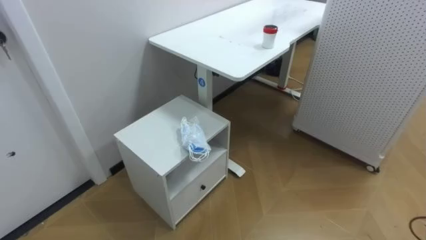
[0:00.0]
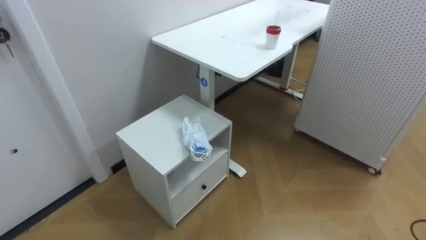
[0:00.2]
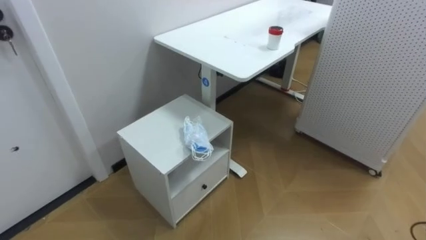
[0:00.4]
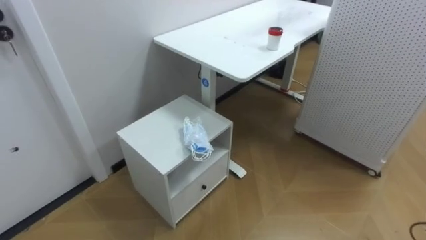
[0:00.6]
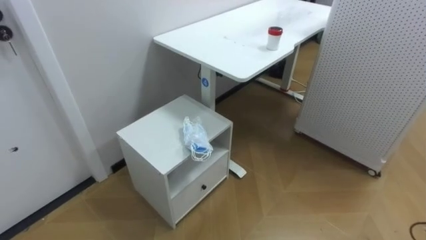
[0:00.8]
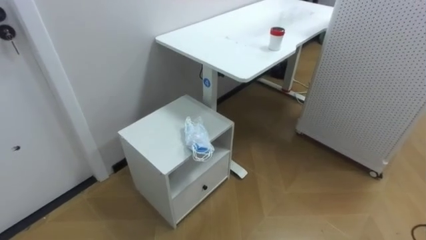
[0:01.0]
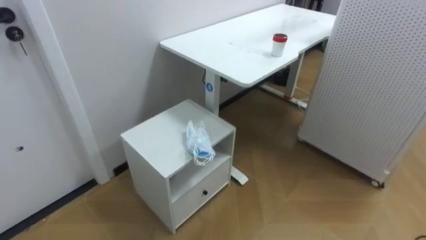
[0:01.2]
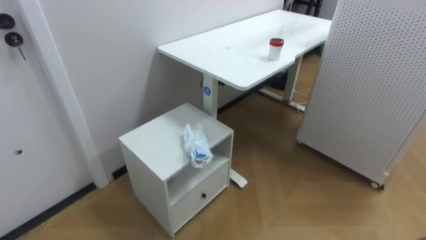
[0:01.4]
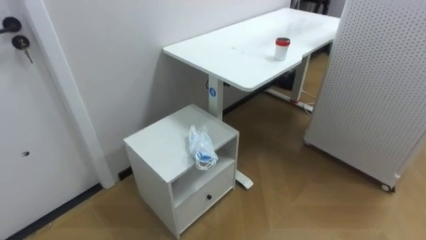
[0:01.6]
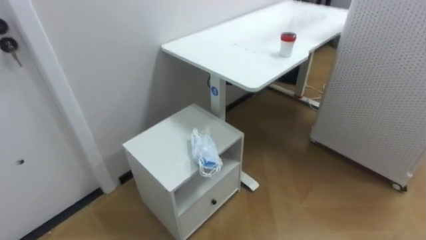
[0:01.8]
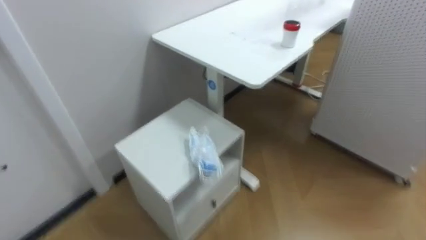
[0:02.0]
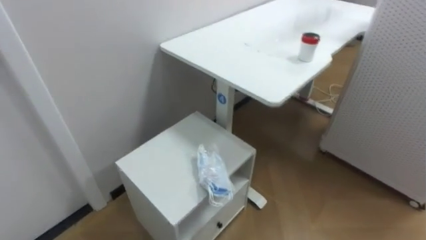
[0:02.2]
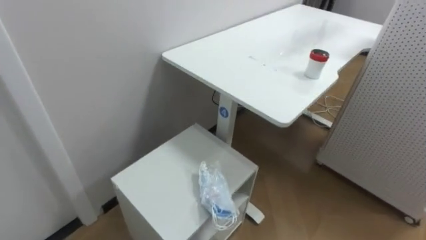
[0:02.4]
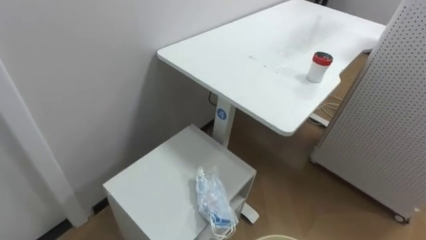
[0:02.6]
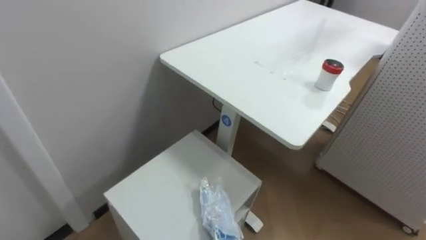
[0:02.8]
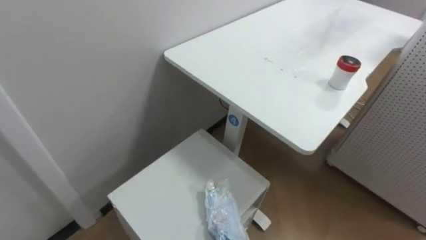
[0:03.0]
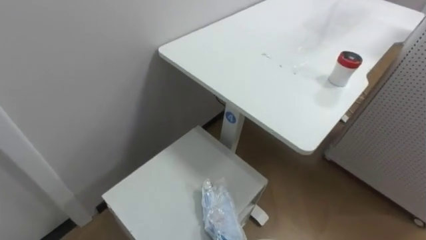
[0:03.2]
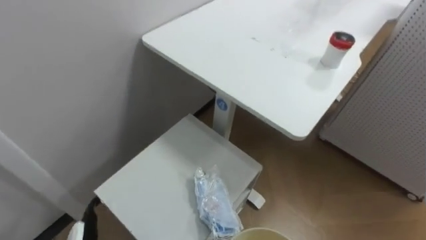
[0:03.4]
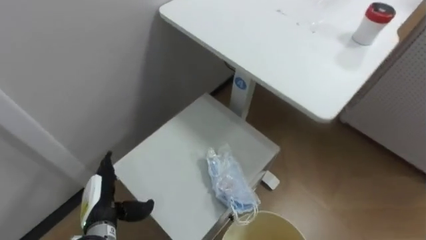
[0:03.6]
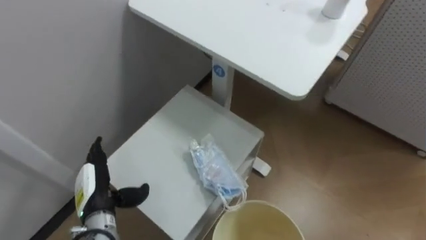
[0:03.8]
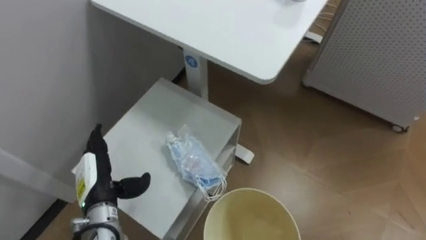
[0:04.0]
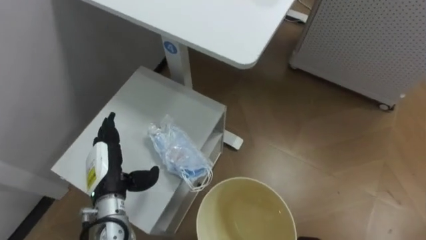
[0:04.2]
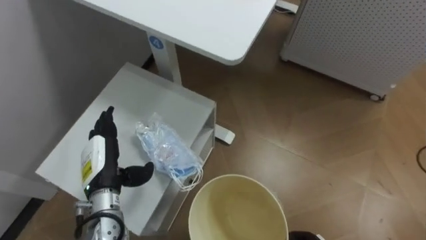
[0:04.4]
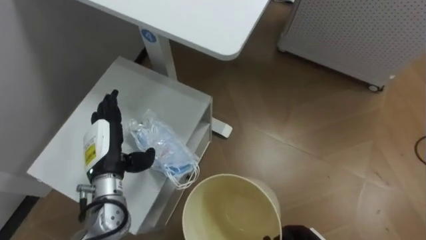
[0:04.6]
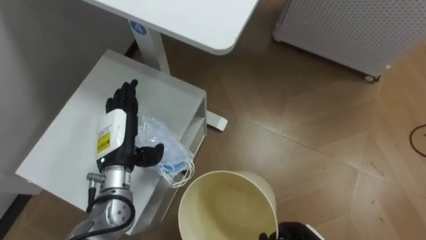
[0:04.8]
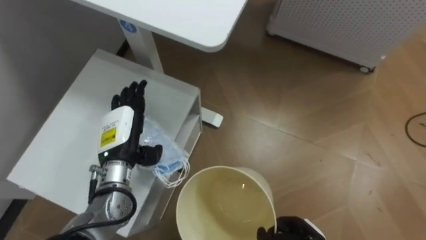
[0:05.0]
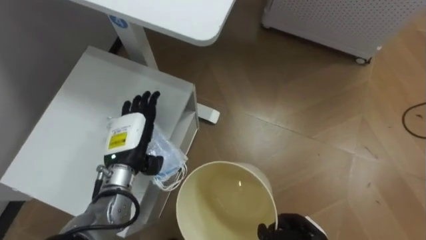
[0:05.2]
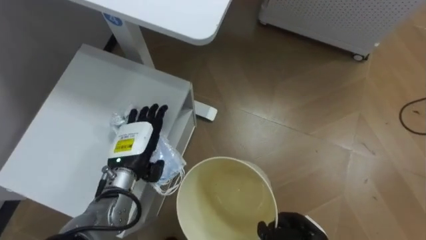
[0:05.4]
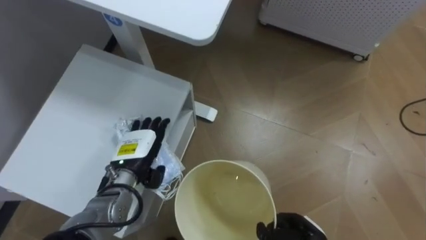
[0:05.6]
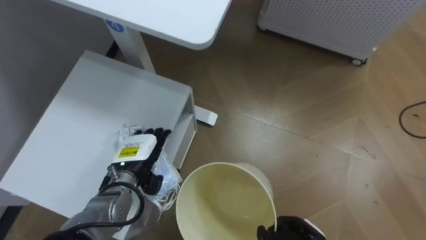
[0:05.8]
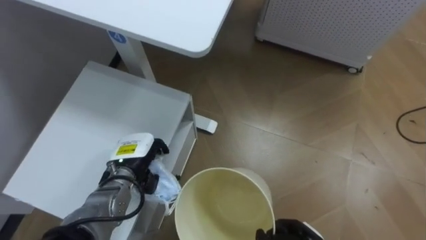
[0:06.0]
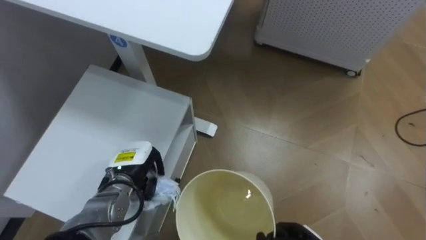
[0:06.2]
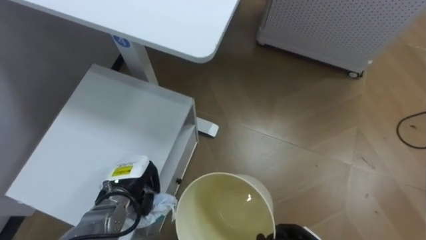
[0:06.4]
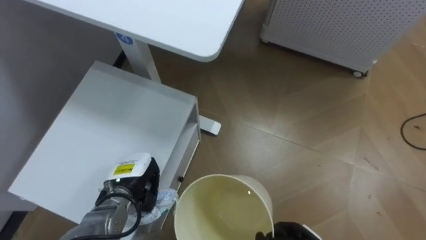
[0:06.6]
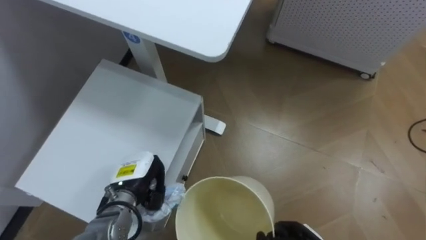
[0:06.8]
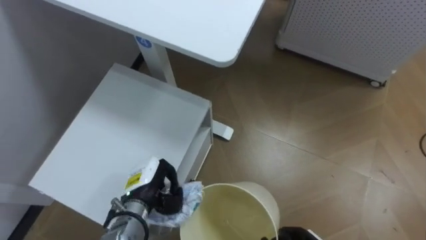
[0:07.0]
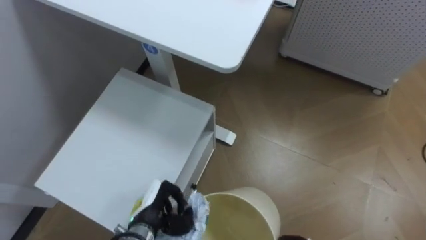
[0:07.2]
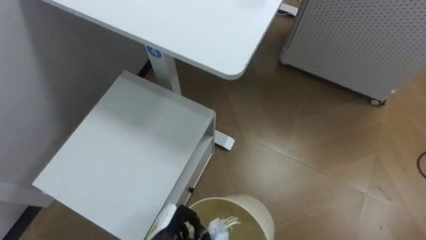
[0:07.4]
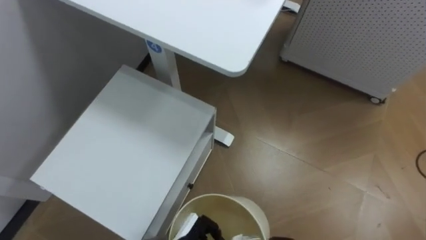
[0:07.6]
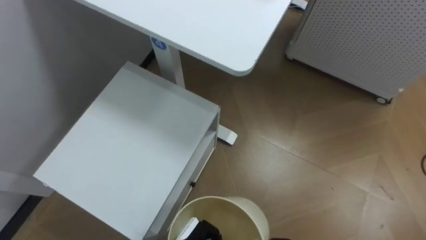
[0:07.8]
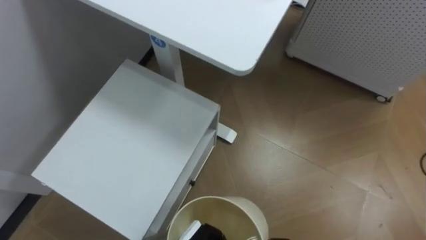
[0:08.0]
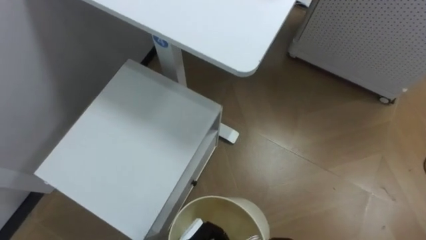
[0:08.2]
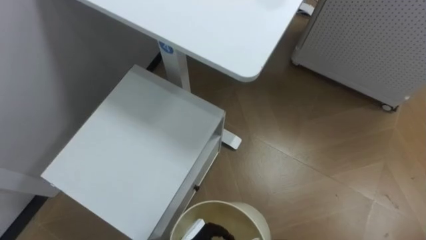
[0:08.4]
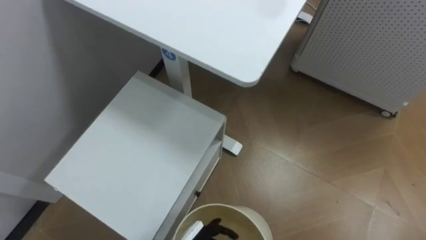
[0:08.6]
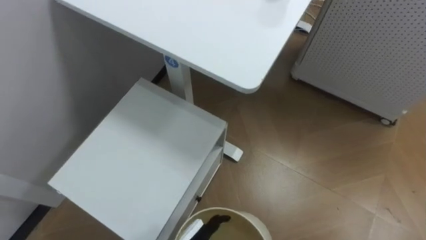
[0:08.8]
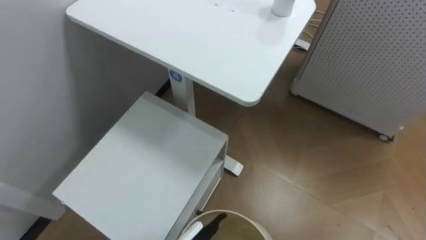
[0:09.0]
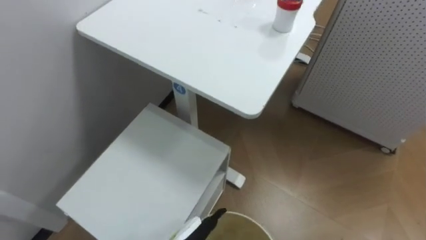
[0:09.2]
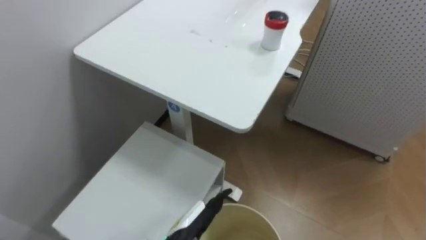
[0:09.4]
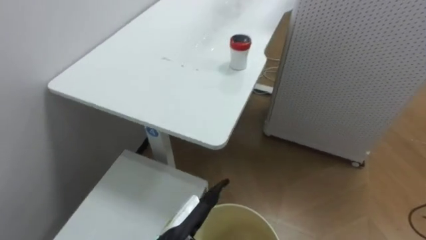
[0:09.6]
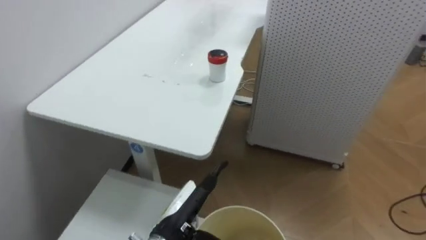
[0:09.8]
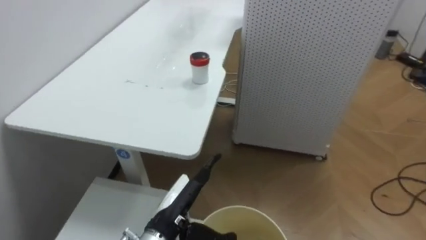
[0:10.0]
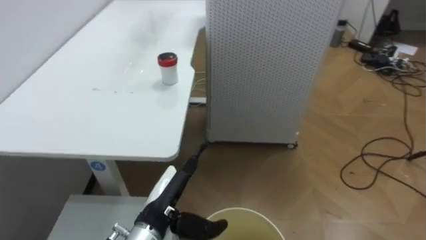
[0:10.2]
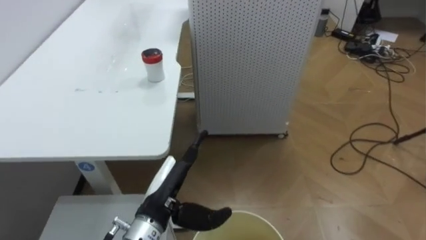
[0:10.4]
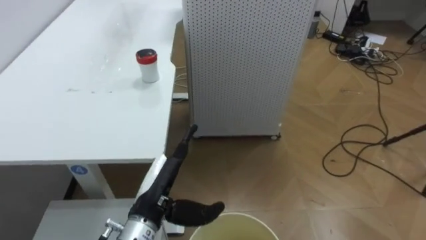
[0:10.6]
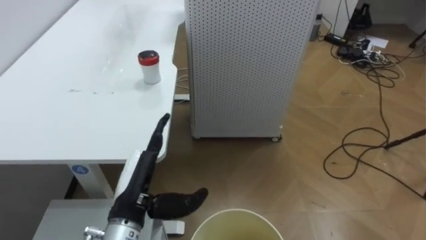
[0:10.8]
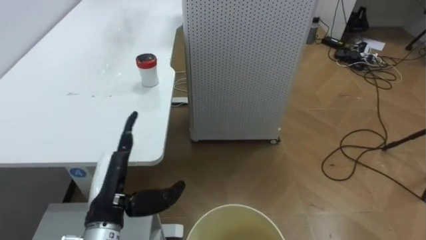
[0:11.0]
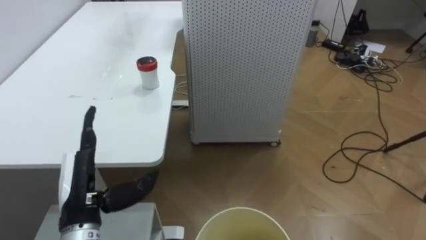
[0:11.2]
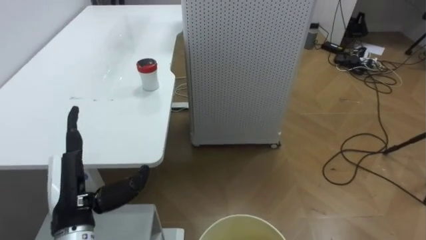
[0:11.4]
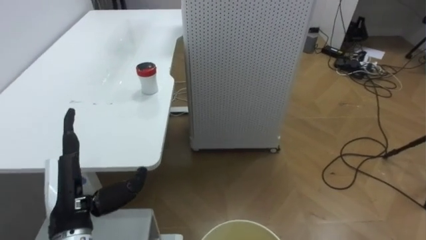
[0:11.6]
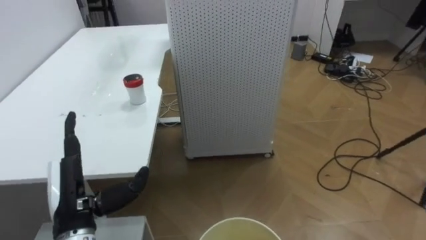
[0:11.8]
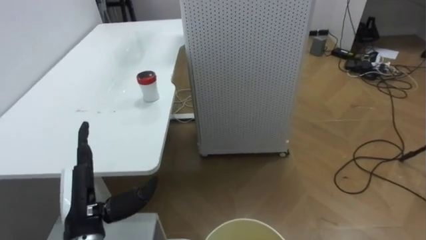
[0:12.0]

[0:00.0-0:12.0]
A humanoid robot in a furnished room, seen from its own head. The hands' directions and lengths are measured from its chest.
Task of the whole recording: Pick up the light blue package, the candy box, and the dark blue package separately, and put them into the trash can held in your right hand.
0:04.4 to 0:06.0: The left hand moves about 5 cm.
0:06.0 to 0:07.6: The left hand shifts roughly 20 cm backward, to the right and downward, and closes up.
0:09.0 to 0:10.4: The robot's body swings approximately 35 degrees to its right.
0:10.4 to 0:12.0: The left hand is displaced to the left by approximately 15 cm.

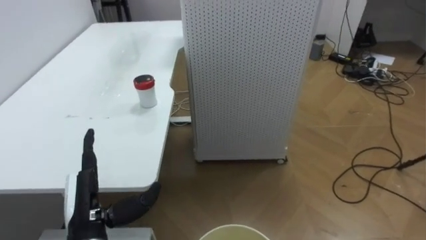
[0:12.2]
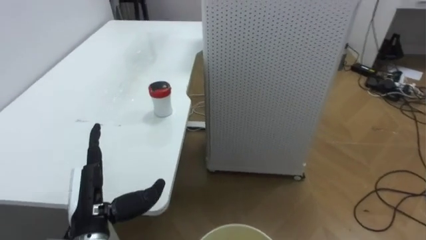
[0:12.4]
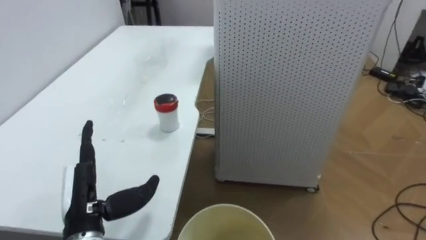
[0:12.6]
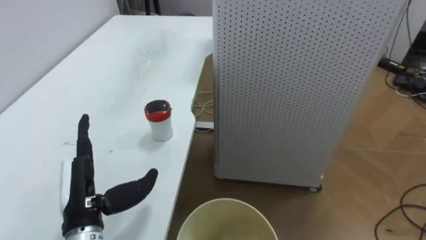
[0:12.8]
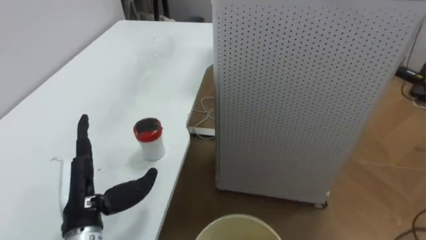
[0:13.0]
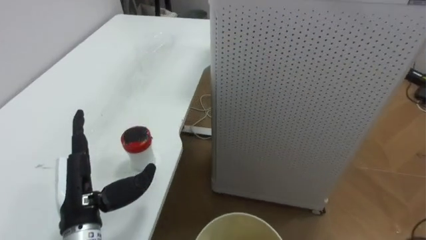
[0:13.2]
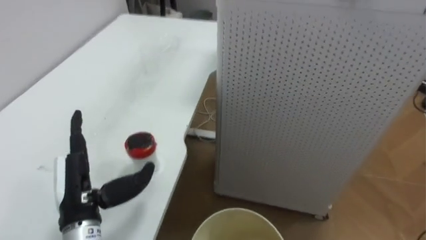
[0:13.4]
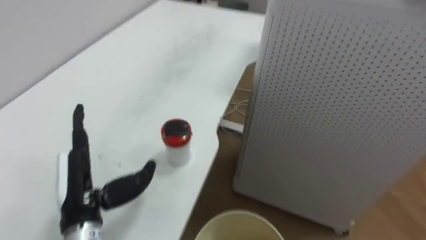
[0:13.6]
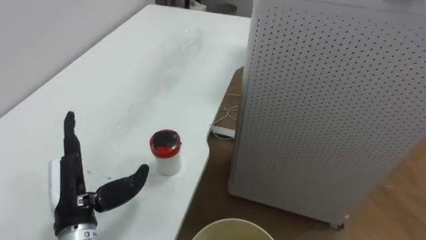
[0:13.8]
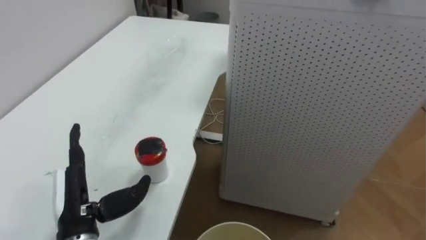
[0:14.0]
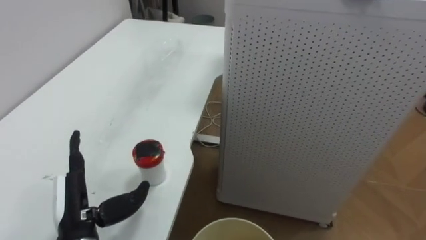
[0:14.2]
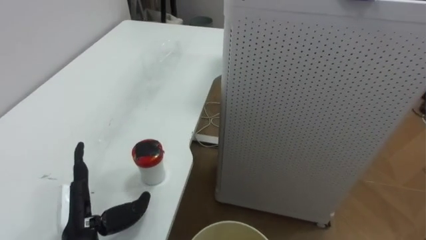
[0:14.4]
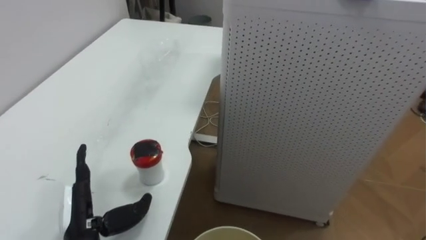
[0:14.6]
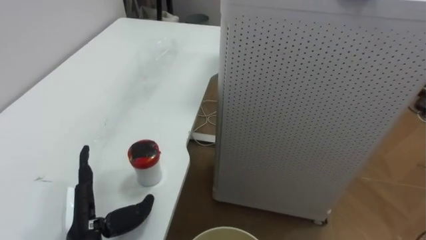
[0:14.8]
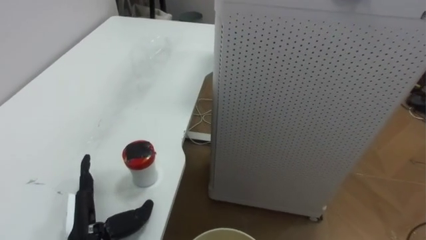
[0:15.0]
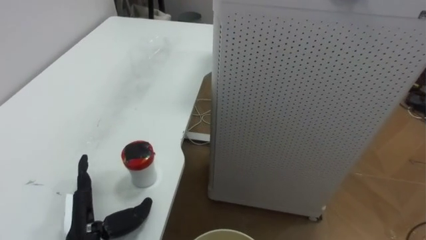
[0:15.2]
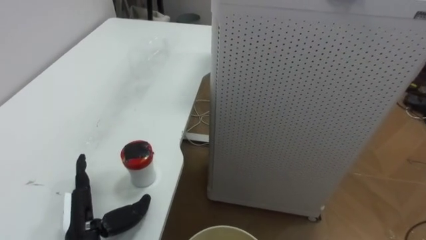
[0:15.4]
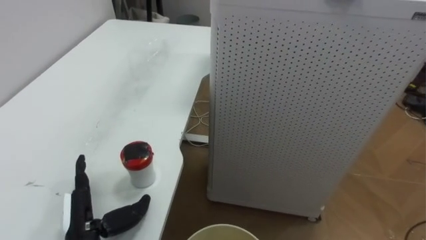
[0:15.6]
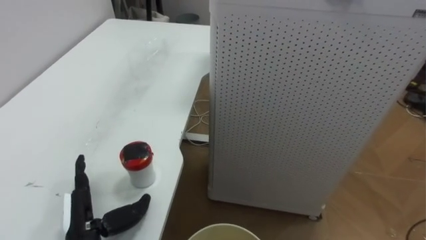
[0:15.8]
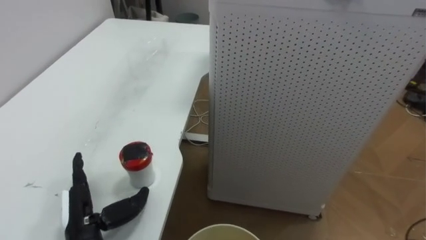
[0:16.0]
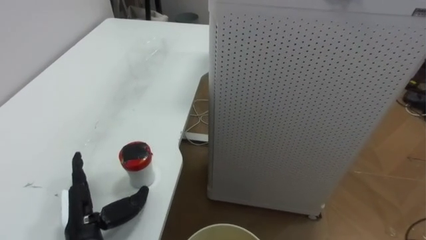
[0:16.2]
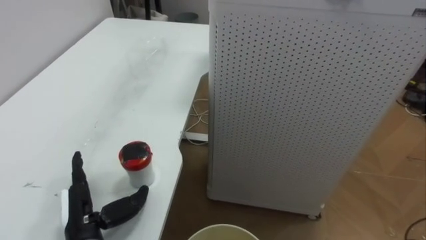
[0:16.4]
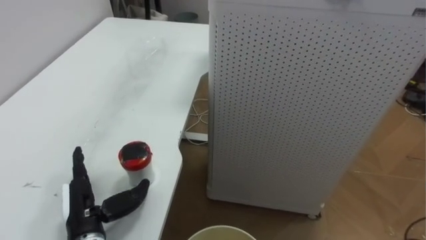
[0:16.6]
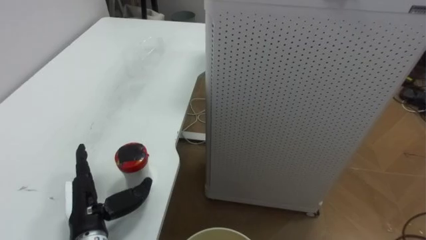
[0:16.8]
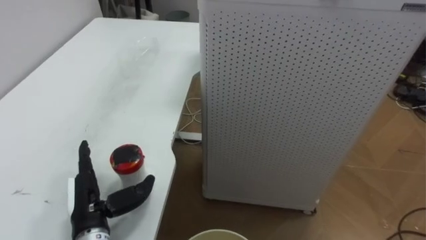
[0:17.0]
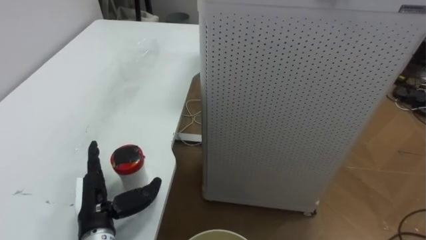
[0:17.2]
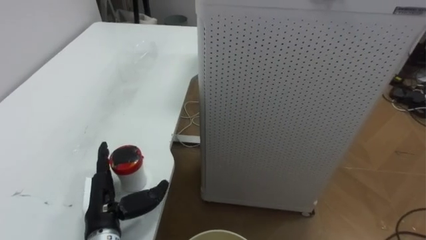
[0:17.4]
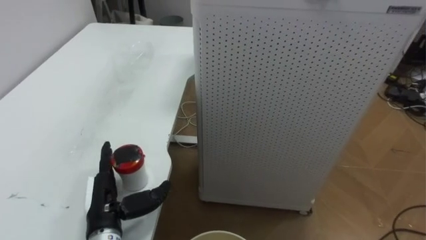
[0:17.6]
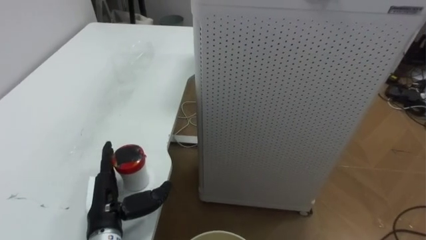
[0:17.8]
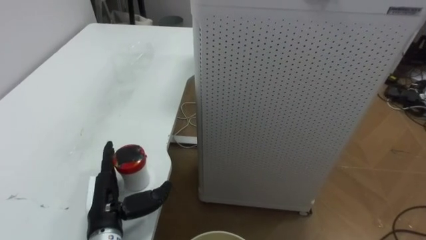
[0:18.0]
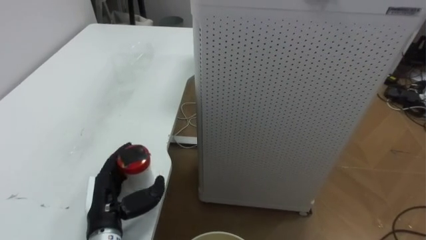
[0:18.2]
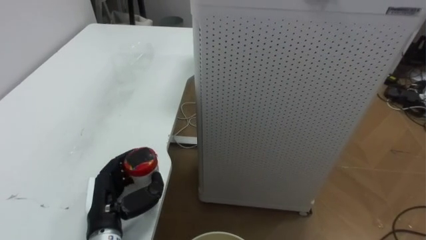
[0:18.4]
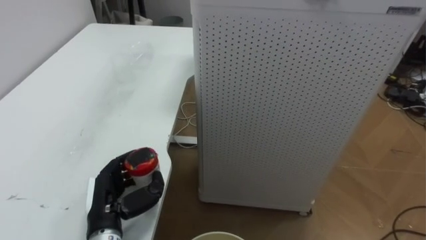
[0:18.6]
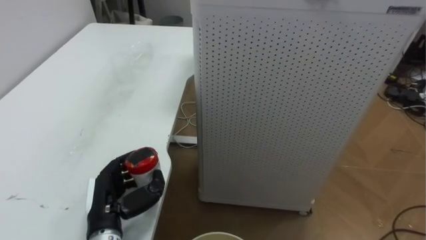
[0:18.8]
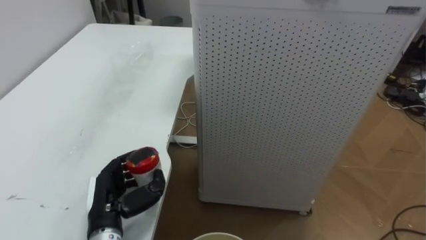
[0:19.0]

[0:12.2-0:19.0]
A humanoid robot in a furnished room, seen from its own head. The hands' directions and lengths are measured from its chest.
Task of the whole recording: Pick up the light blue package, the candy box, and the dark blue package separately, and put them into the trash can held in your right hand.
0:12.2 to 0:13.6: The robot turns to its left by about 25 degrees.
0:13.6 to 0:15.0: The left hand travels downward by approximately 10 cm.
0:17.6 to 0:19.0: The left hand closes.
